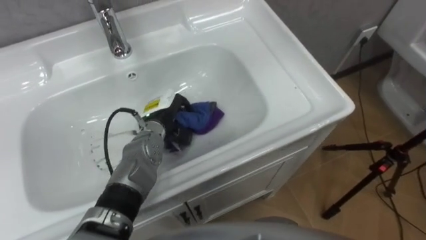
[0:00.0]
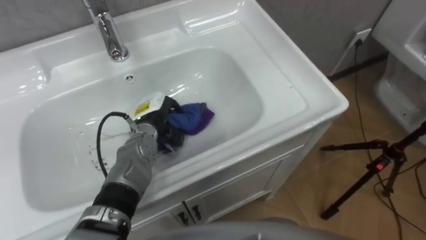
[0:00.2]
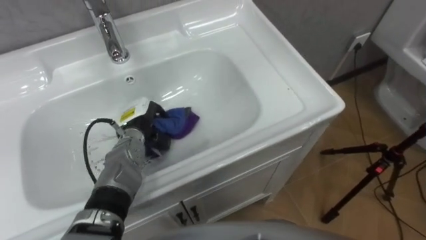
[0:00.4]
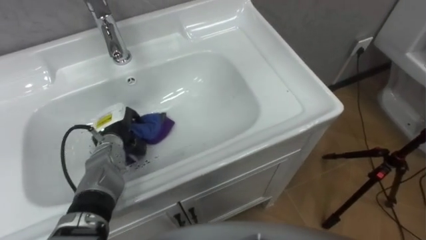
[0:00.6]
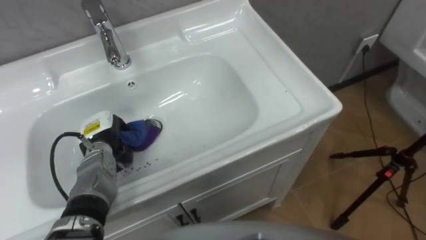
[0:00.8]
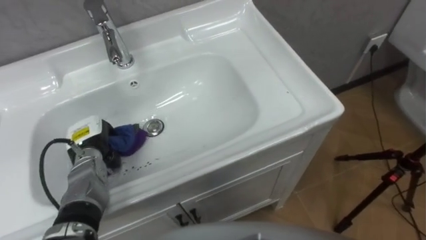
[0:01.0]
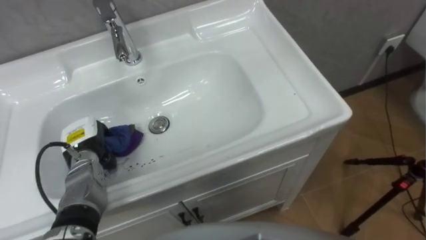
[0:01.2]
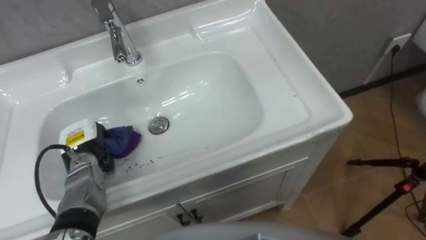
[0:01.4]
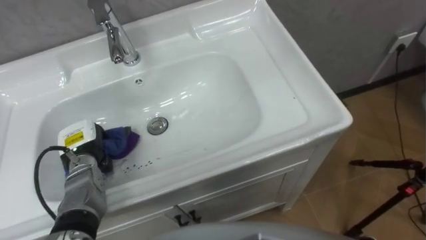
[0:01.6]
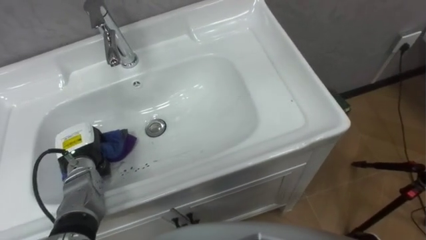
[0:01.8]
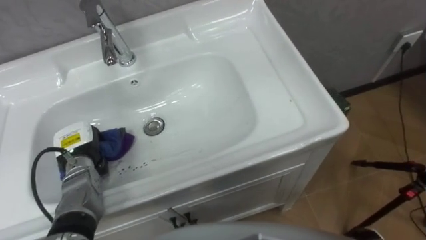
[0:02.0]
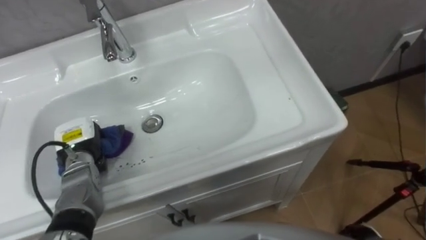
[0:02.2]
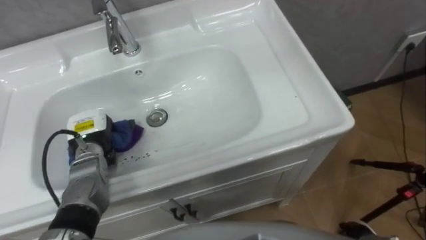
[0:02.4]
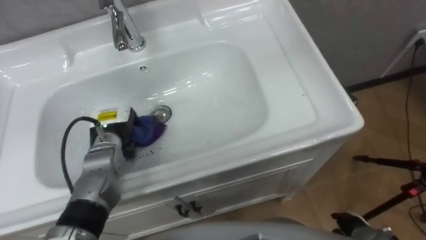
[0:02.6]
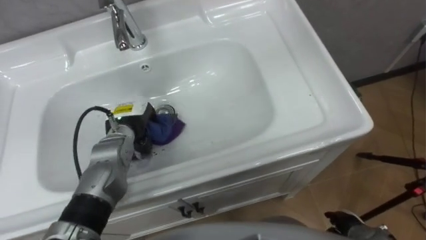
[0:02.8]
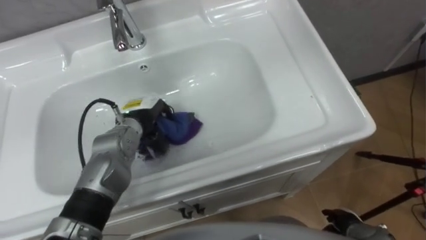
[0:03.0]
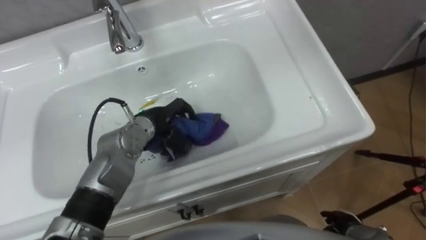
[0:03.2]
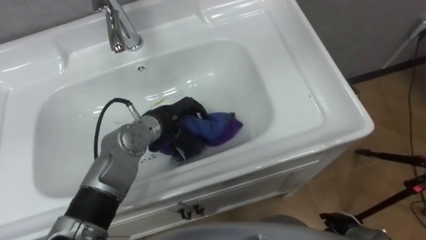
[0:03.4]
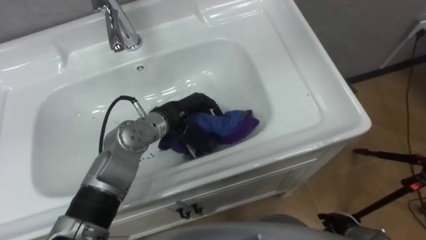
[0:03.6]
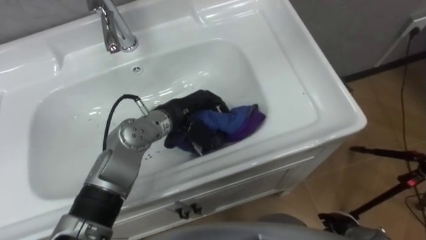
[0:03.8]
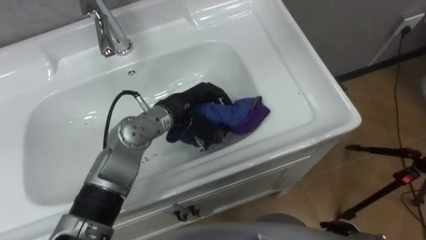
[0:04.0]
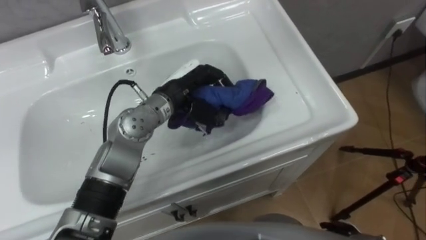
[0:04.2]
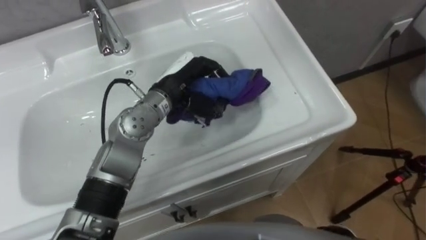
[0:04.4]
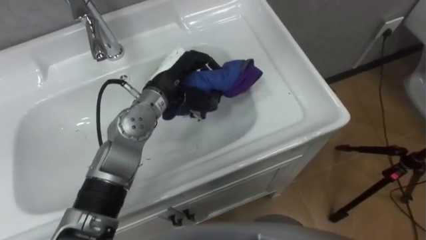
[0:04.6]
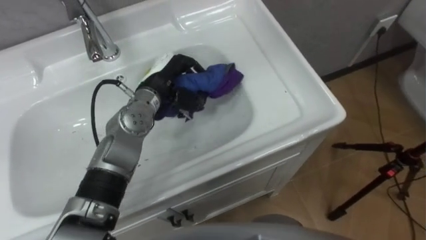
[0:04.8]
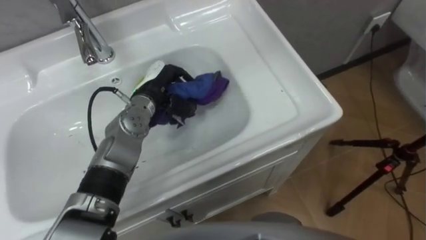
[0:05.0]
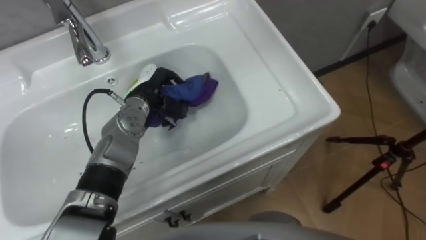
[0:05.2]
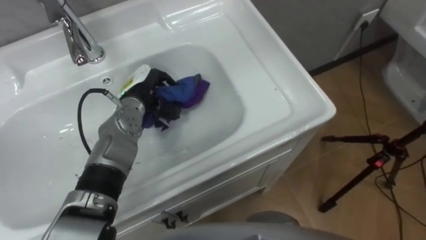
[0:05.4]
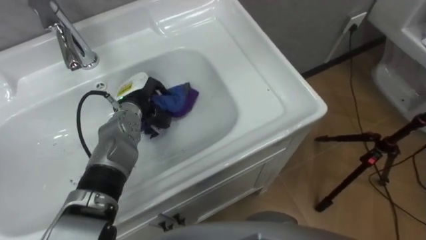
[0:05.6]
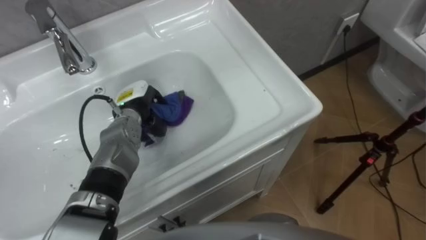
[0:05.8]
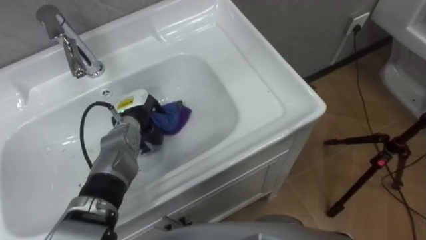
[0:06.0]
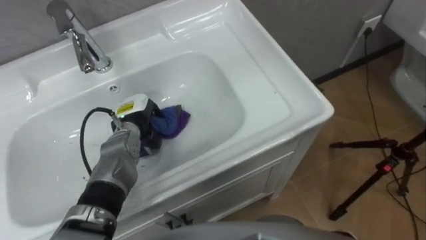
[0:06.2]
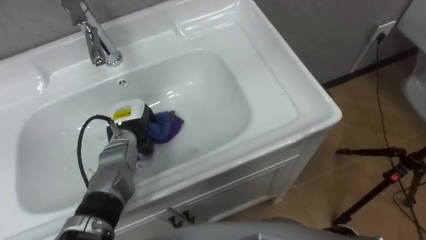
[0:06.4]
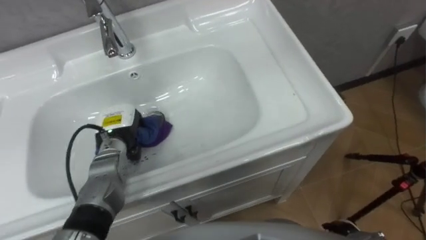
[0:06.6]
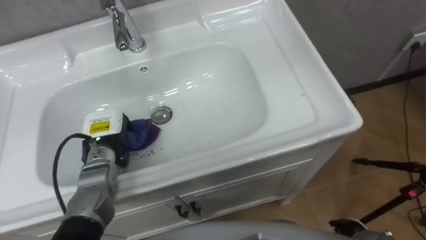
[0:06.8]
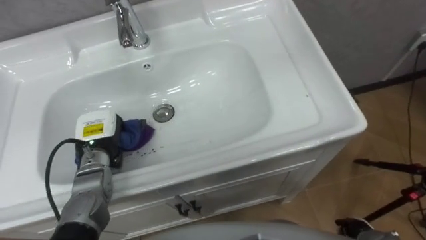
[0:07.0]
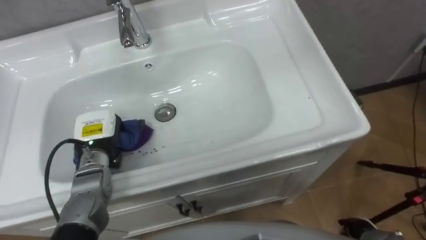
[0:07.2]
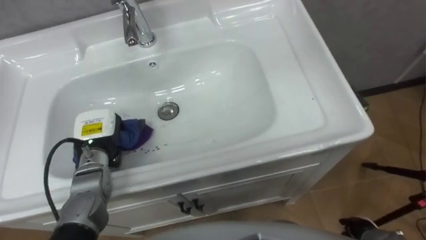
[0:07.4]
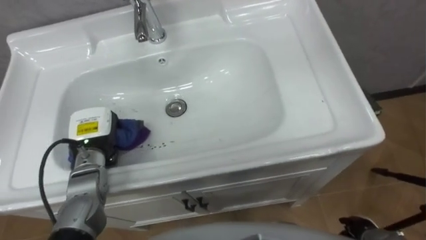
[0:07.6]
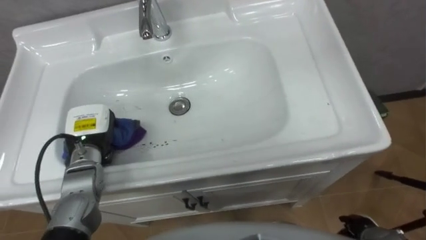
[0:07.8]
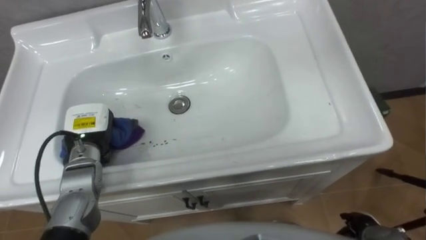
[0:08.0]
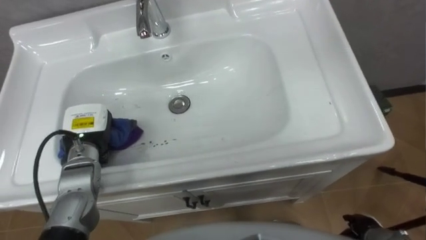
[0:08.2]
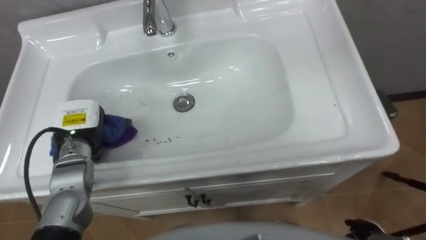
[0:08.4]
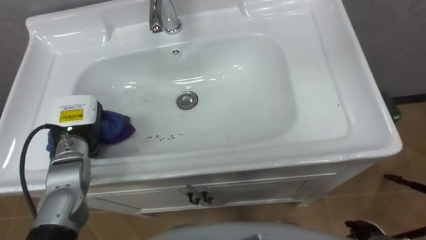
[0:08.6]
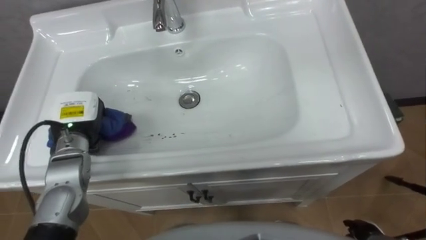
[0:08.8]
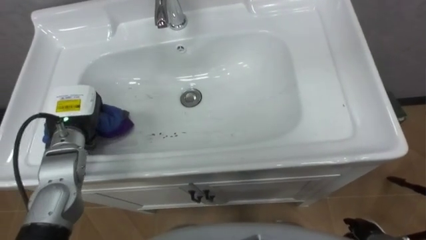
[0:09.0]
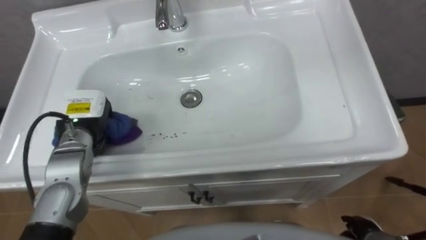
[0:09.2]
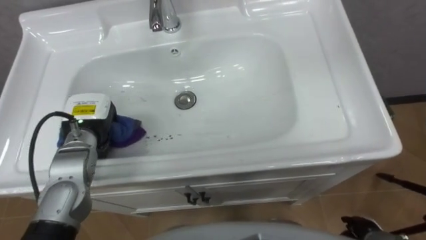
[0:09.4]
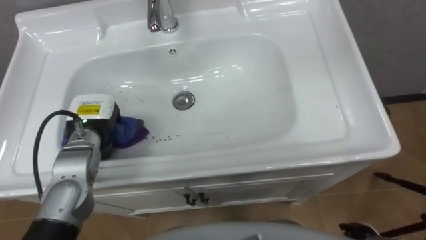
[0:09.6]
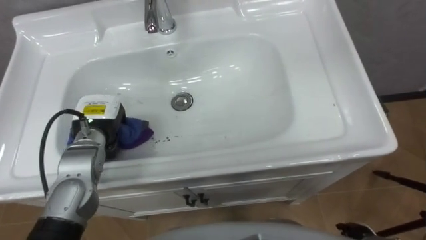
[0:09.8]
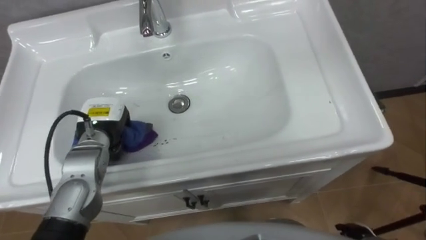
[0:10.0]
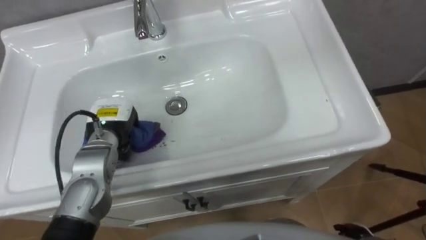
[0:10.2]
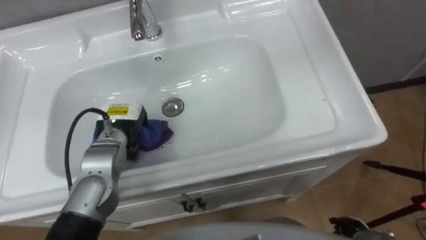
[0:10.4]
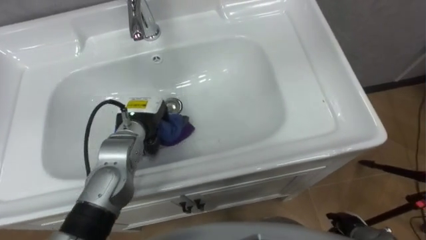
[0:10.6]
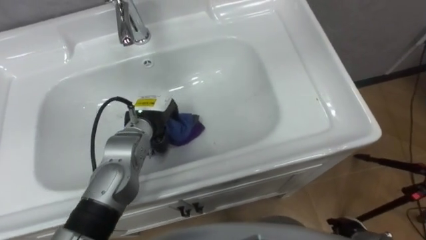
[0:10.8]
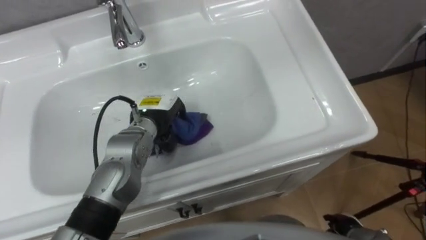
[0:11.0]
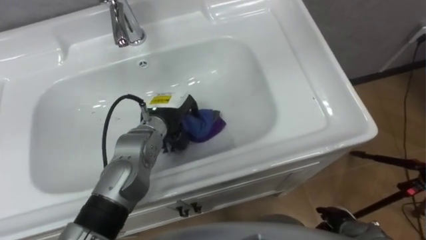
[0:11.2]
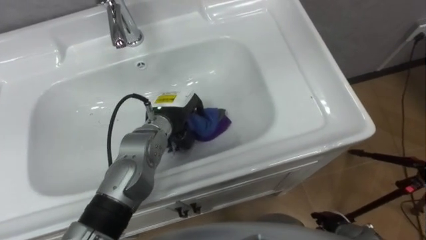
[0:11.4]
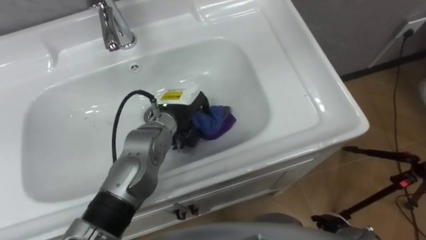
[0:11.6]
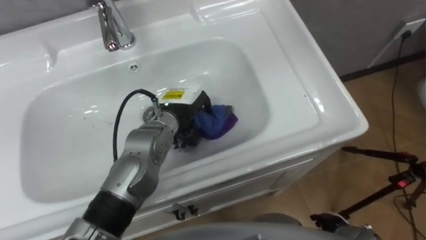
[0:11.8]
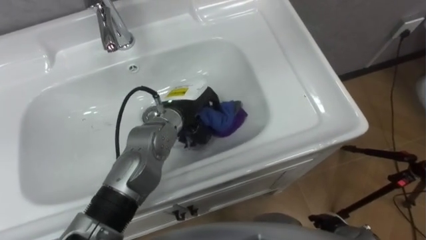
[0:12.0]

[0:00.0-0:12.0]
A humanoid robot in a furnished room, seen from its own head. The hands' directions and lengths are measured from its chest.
Task of the whole recording: Use the cloth on the right to wipe away the black stain in the sink.
0:00.0 to 0:01.6: The left hand is displaced to the left and backward by about 20 cm.
0:01.6 to 0:03.0: The left hand shifts approximately 15 cm to the right and forward.
0:03.0 to 0:04.4: The left hand travels upward and to the right by roughly 10 cm.
0:04.4 to 0:06.0: The left hand moves downward and to the left, approximately 15 cm.
0:06.0 to 0:07.6: The left hand heads to the left and backward, covering roughly 10 cm.
0:07.6 to 0:09.0: The left hand is displaced upward by some 5 cm.
0:09.0 to 0:10.4: The left hand goes some 10 cm to the right.
0:10.4 to 0:12.0: The left hand shifts some 15 cm to the right.

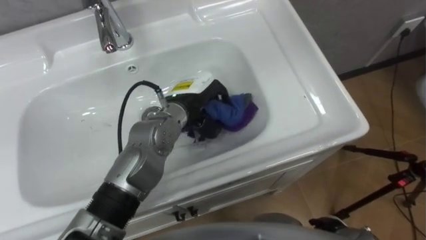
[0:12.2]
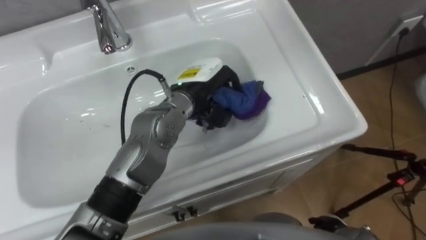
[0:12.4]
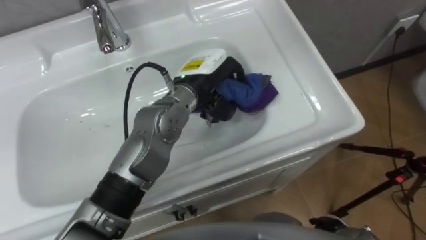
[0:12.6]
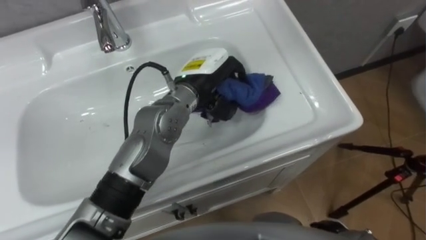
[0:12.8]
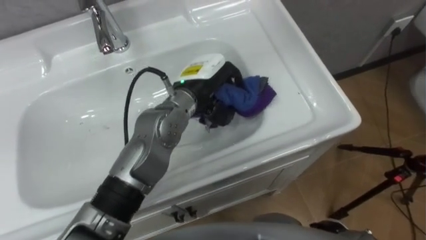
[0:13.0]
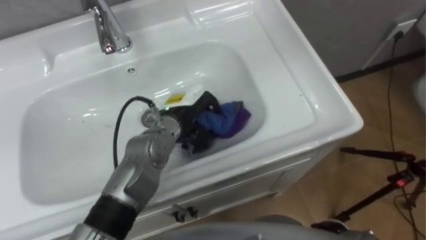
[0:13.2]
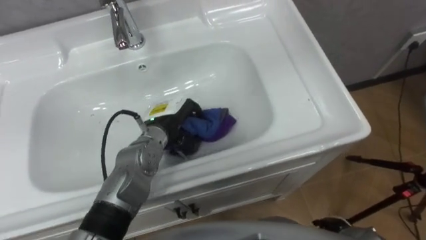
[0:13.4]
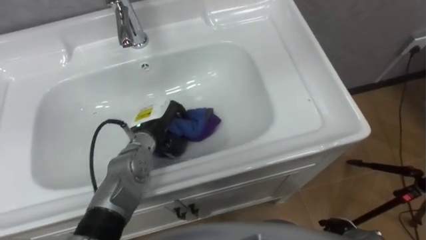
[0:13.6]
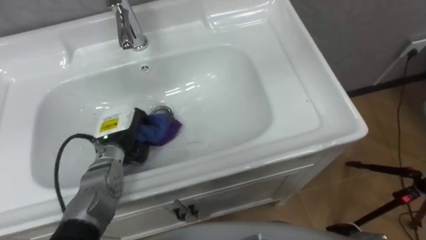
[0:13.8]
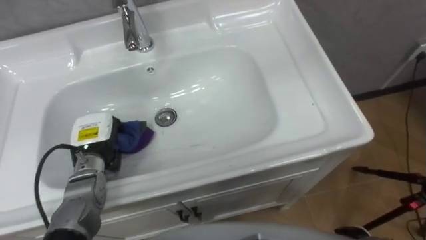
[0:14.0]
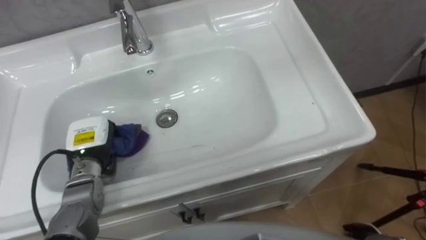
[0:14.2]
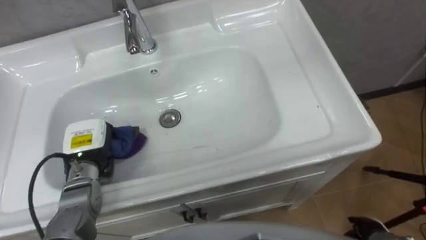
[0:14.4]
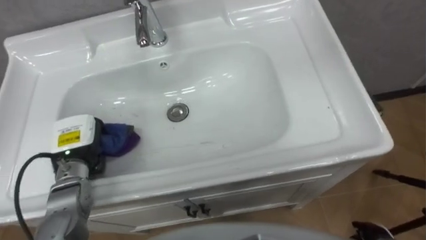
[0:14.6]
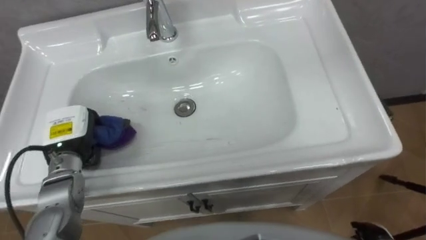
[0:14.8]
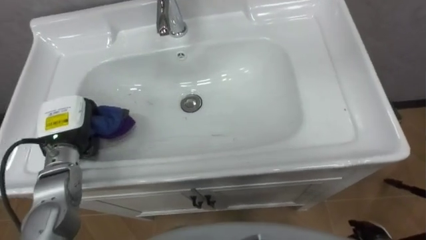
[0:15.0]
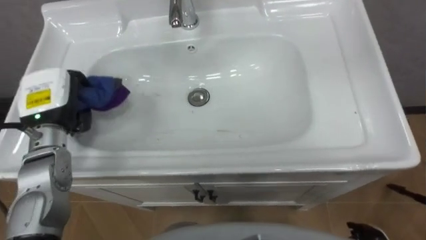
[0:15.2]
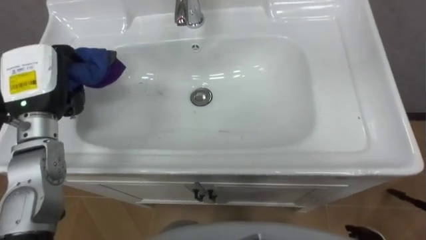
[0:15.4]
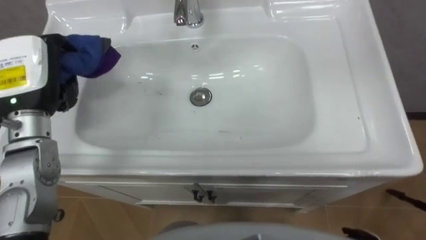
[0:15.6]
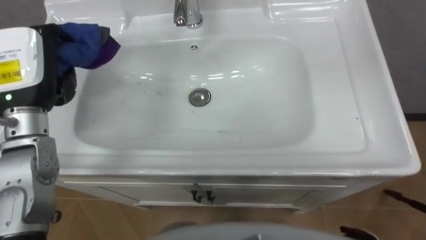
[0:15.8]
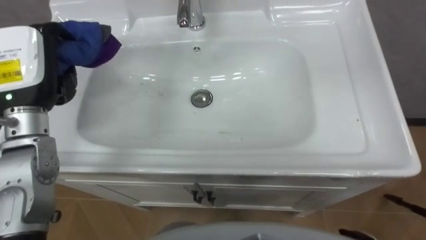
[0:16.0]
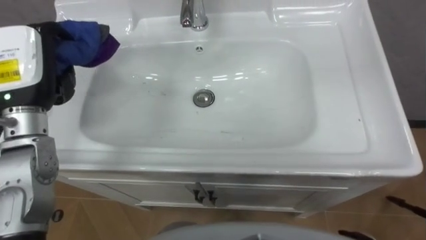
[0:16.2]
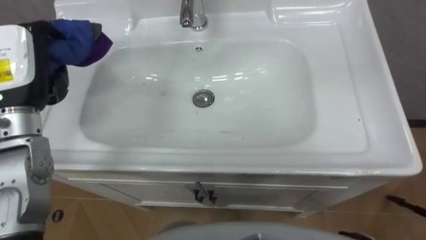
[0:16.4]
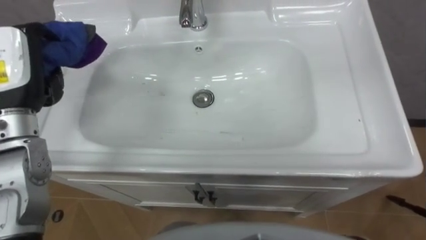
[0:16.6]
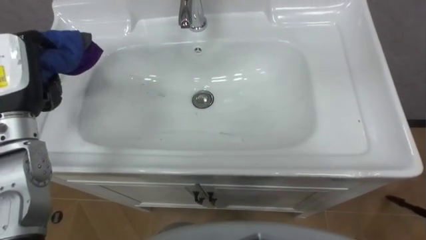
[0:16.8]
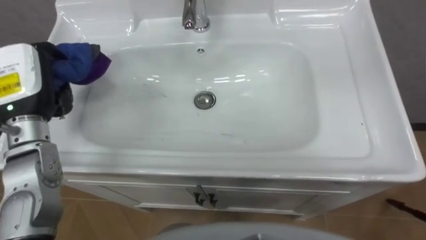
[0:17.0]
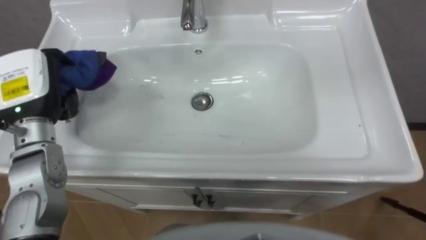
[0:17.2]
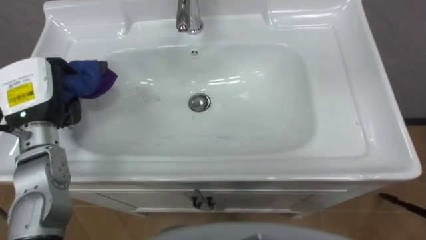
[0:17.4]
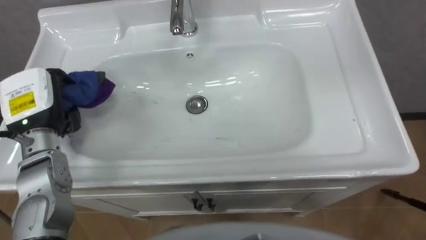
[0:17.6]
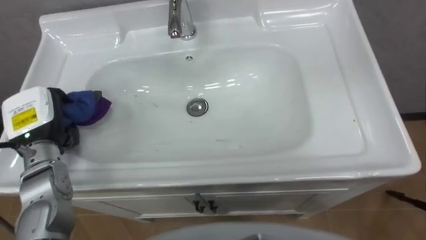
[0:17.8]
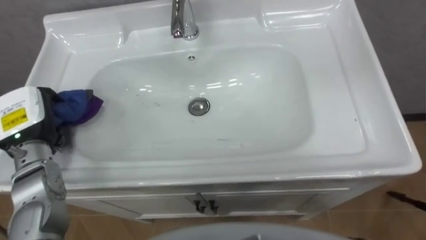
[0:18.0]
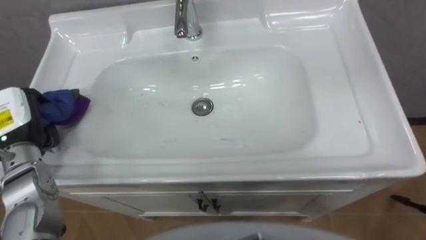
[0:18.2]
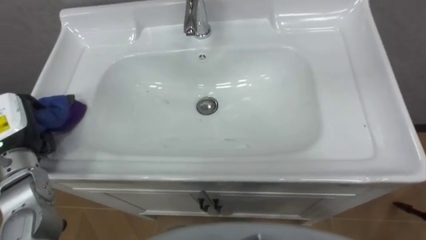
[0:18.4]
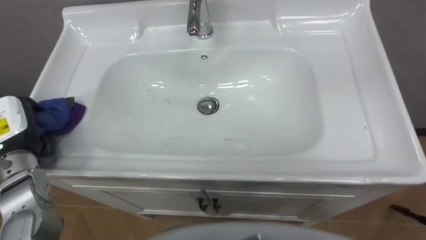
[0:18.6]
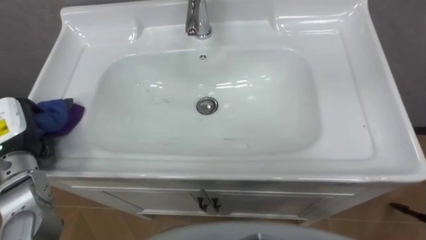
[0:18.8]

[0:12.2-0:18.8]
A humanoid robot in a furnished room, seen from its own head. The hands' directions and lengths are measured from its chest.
Task of the whole recording: Use the cloth on the right to wipe away the black stain in the sink.
0:12.2 to 0:13.8: The left hand is displaced to the left and downward by some 20 cm.
0:13.8 to 0:15.4: The left hand heads upward and to the left, covering about 20 cm.
